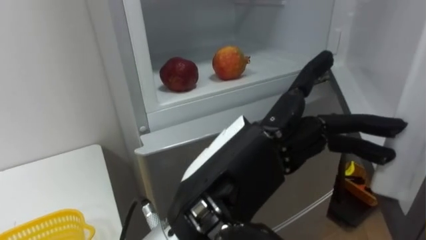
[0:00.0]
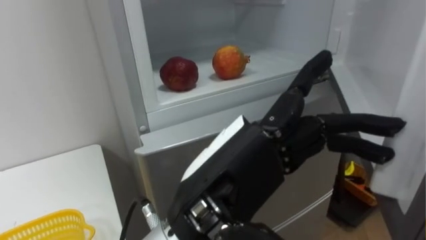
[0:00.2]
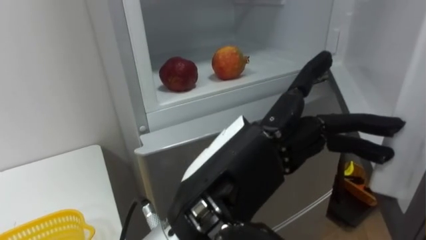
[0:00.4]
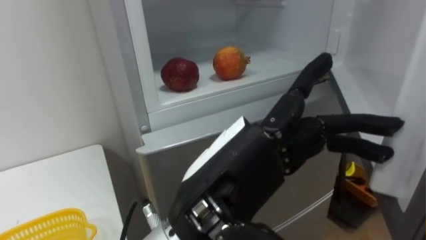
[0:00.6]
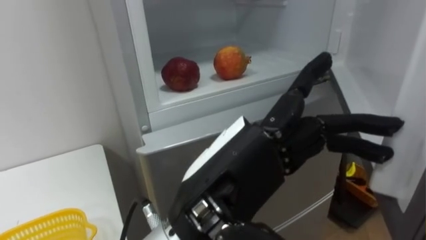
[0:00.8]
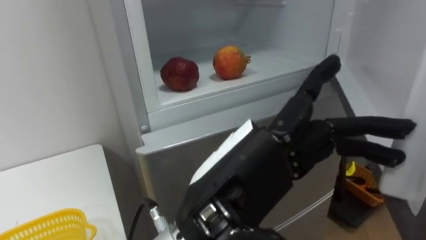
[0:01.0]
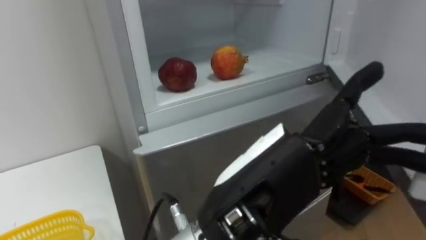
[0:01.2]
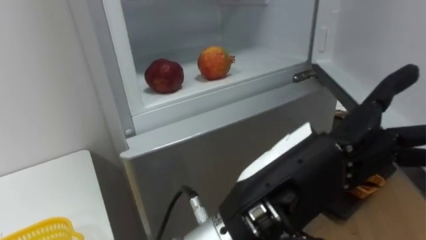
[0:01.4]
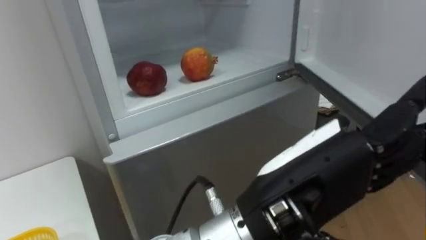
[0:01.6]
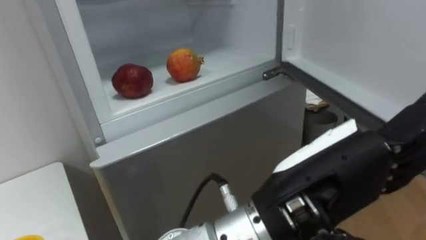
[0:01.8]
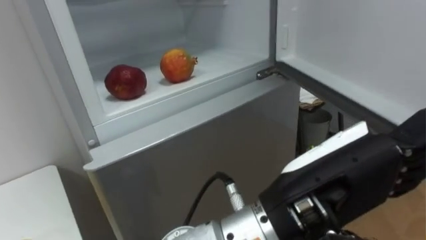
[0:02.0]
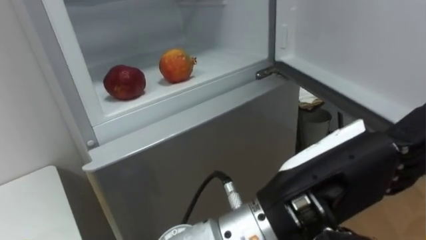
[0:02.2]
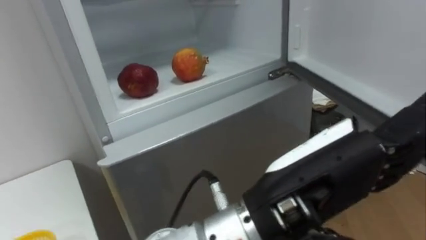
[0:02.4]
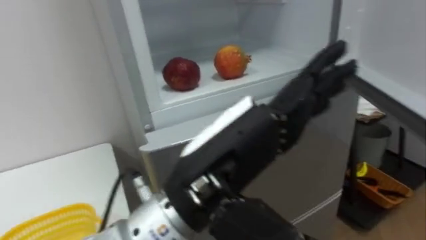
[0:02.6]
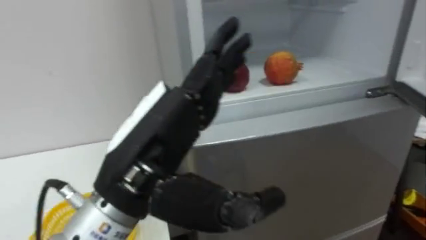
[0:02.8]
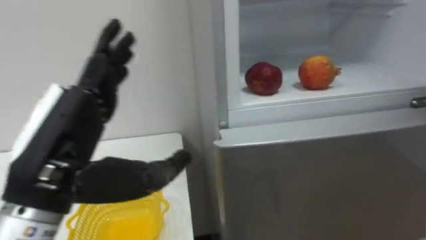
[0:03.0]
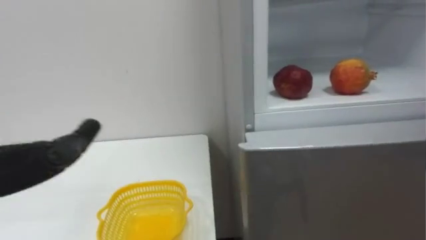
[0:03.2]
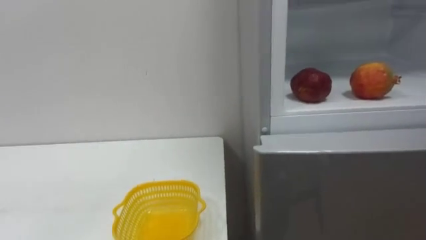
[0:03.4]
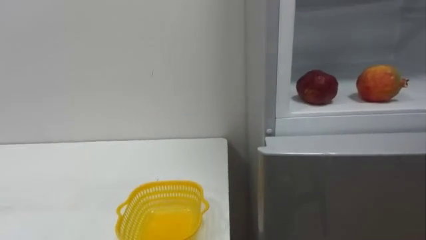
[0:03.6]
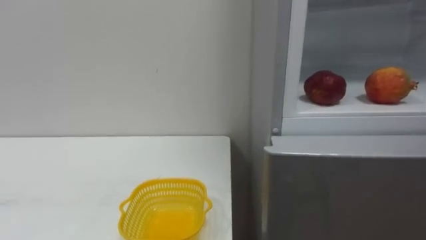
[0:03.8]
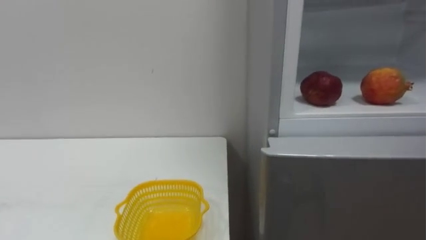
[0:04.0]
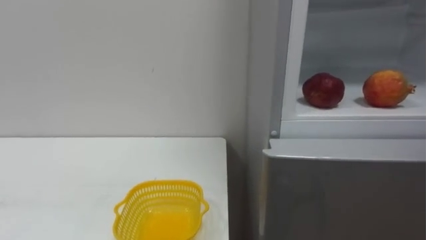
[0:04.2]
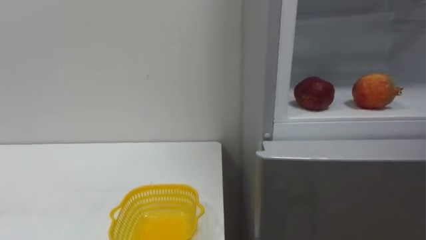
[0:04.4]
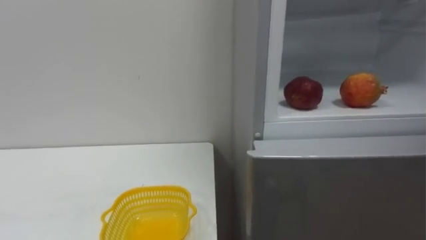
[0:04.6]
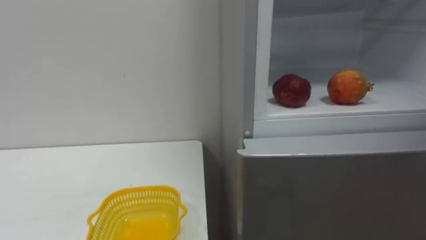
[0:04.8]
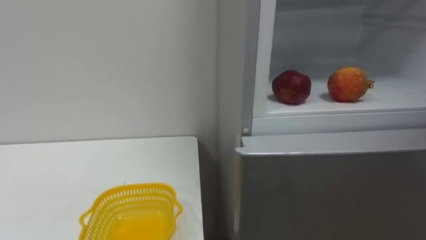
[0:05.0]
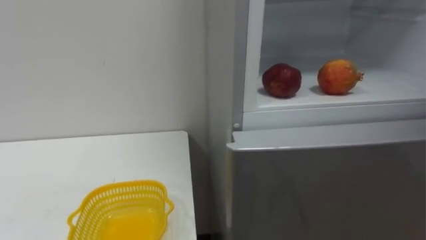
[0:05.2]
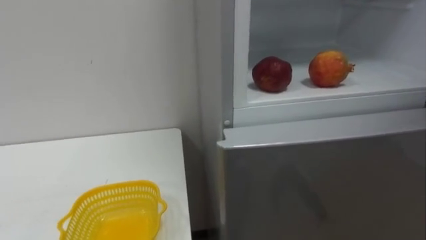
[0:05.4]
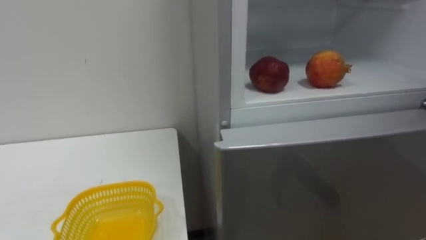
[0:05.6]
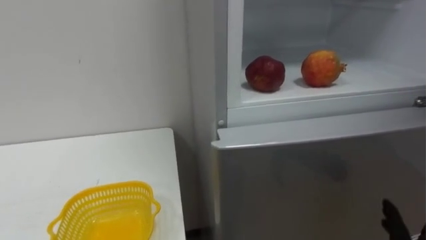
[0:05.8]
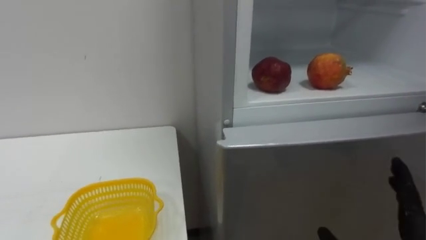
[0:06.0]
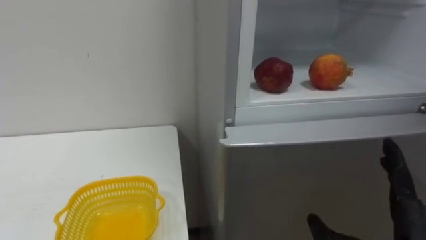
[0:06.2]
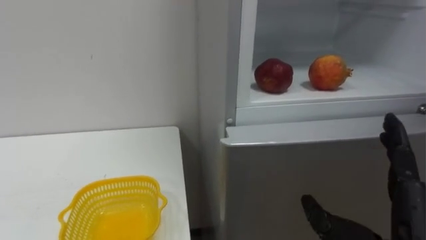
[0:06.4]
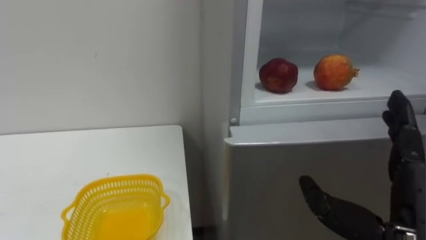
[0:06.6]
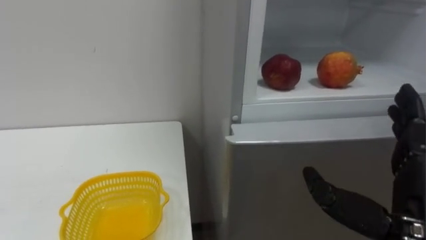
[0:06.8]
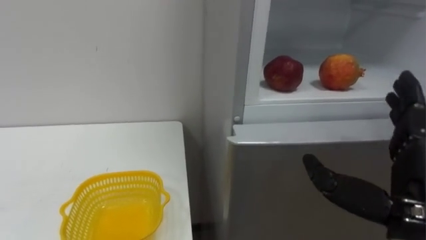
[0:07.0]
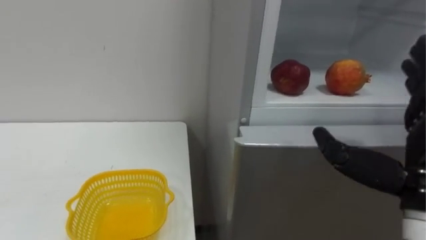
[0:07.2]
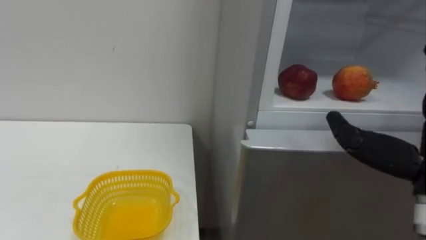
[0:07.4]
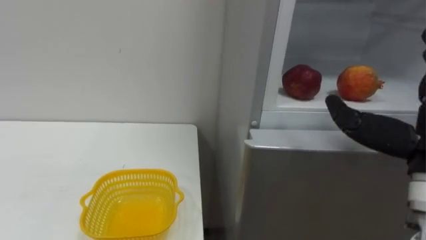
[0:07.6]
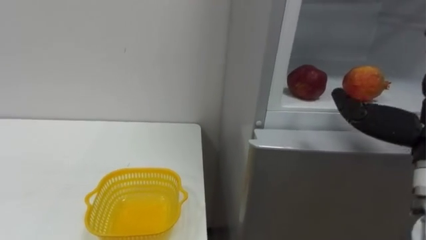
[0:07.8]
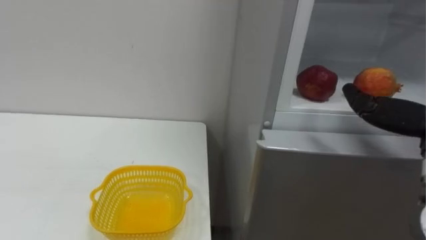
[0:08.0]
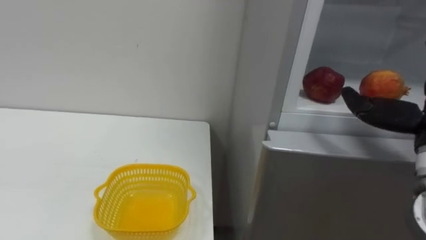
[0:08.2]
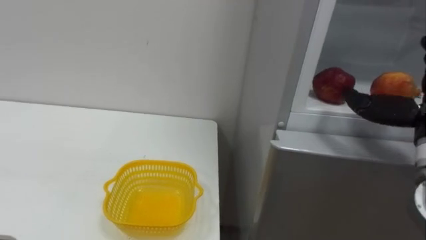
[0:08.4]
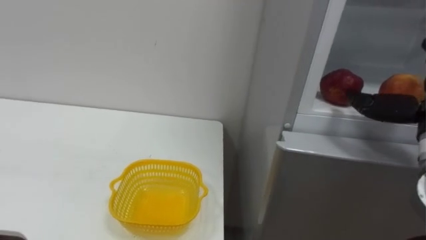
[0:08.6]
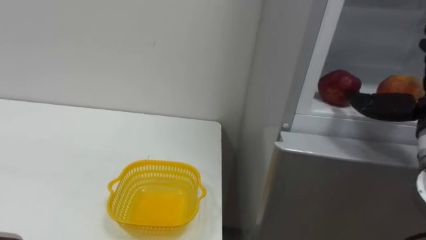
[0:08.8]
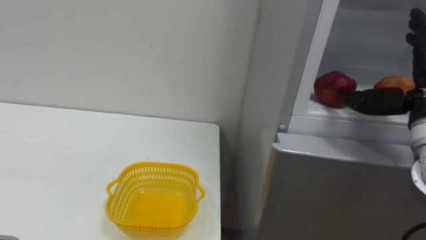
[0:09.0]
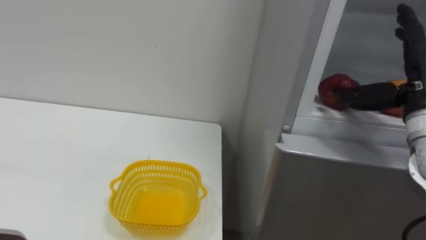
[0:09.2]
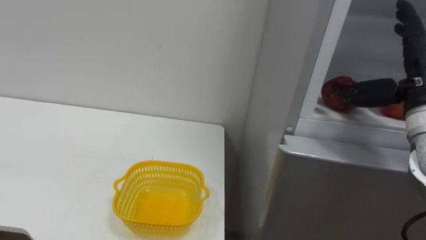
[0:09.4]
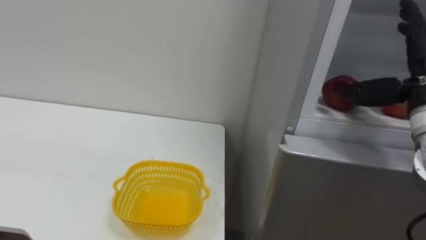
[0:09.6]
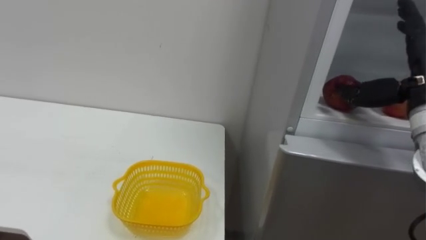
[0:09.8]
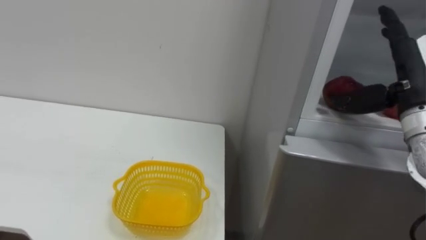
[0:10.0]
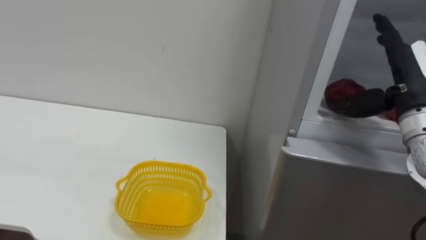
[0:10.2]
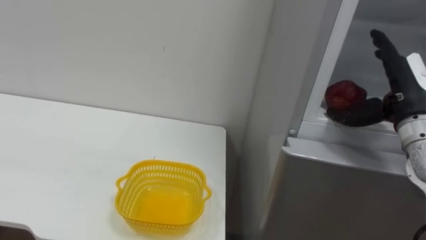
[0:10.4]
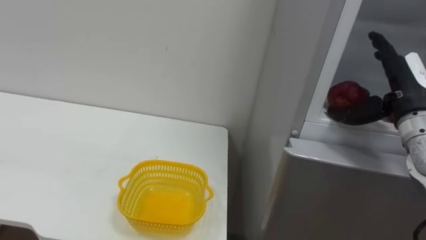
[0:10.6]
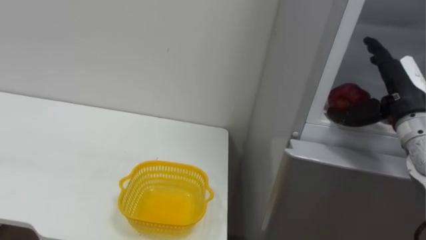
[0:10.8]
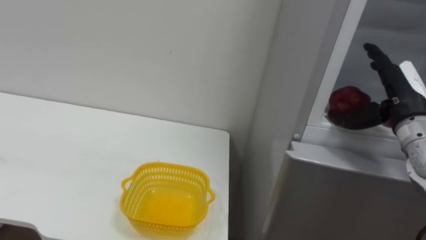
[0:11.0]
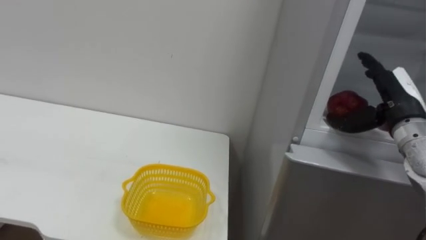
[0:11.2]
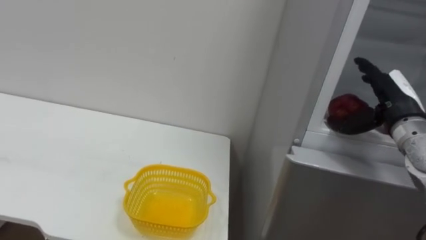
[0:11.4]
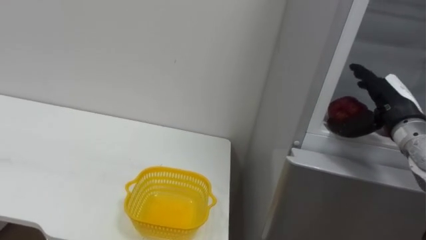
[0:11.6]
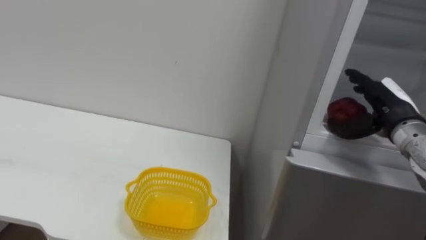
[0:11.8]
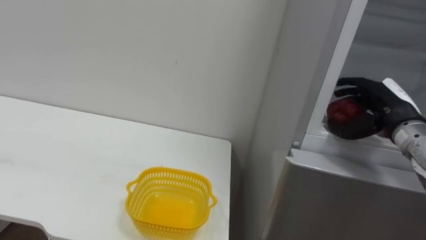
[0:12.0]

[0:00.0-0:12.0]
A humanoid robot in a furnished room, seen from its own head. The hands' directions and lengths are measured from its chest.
Task of the whole recording: Open the refrigerator door, take out the apple and the pomegranate, place them in the fruit basket on the left, and close the refrigerator door.
0:00.0 to 0:01.6: The left hand shifts about 5 cm to the right.
0:01.6 to 0:03.0: The left hand is displaced to the left by approximately 20 cm.
0:10.4 to 0:12.0: The right hand shifts approximately 5 cm downward.

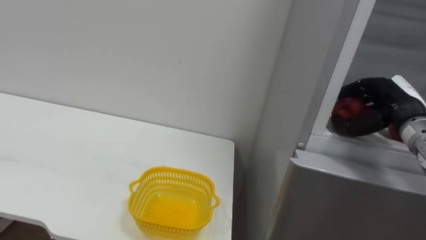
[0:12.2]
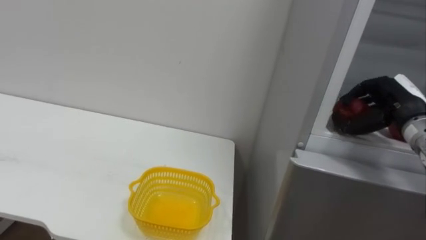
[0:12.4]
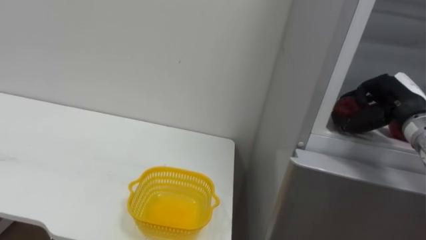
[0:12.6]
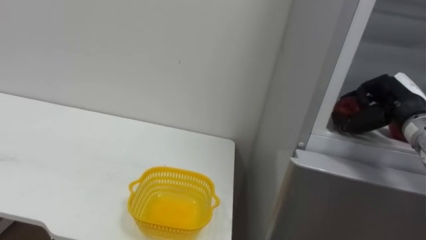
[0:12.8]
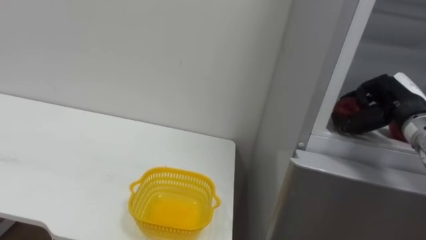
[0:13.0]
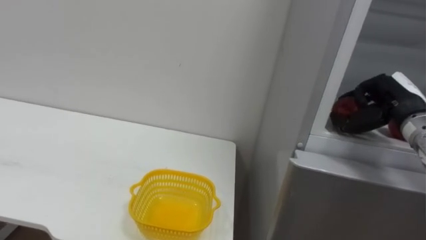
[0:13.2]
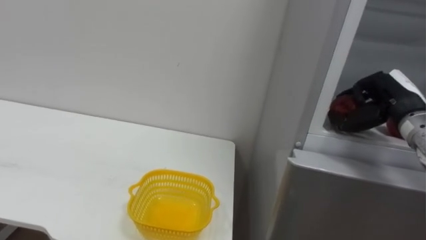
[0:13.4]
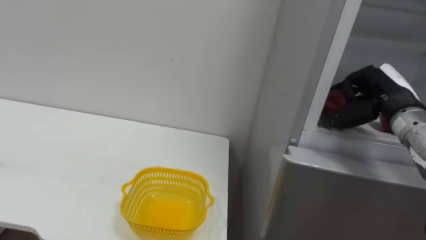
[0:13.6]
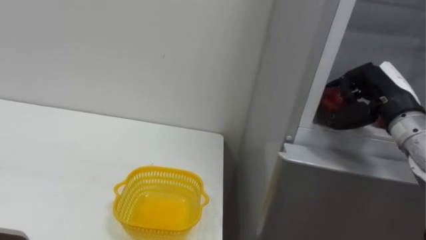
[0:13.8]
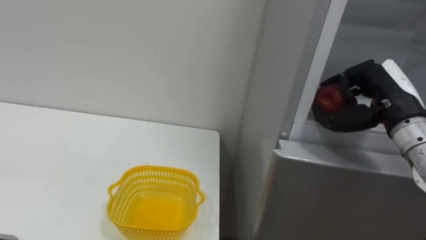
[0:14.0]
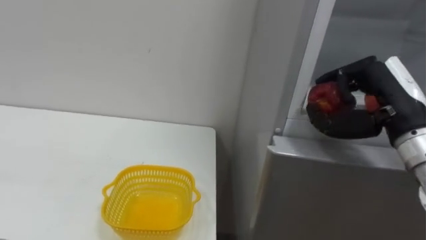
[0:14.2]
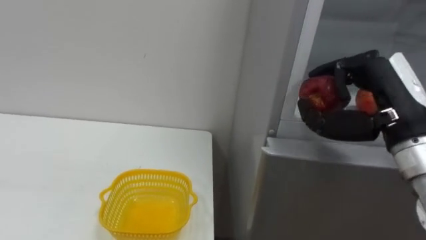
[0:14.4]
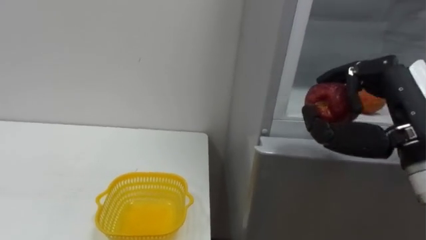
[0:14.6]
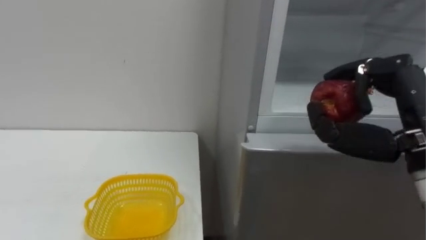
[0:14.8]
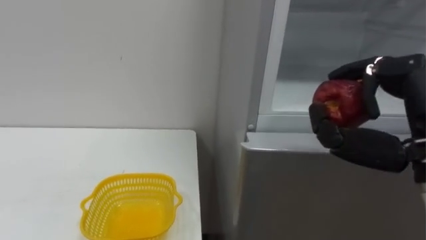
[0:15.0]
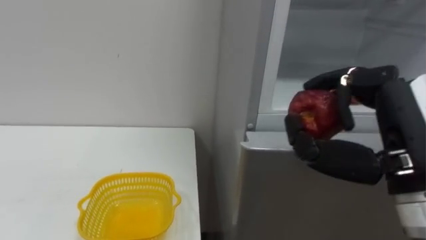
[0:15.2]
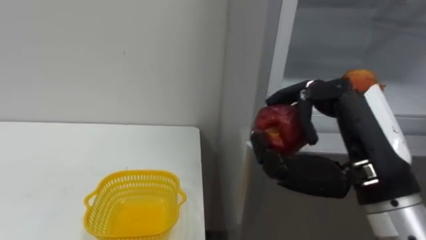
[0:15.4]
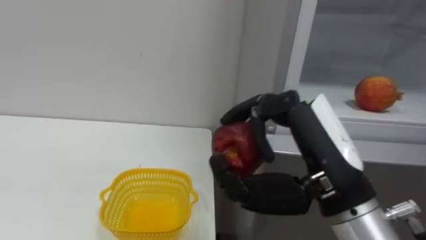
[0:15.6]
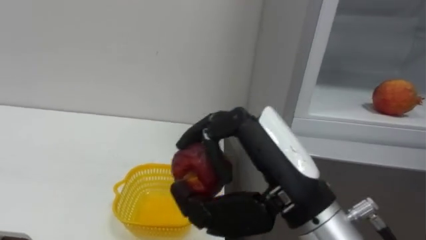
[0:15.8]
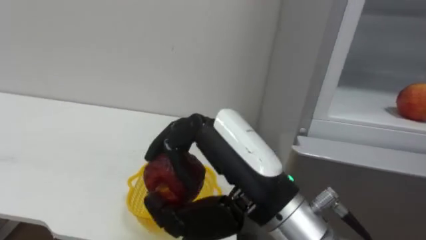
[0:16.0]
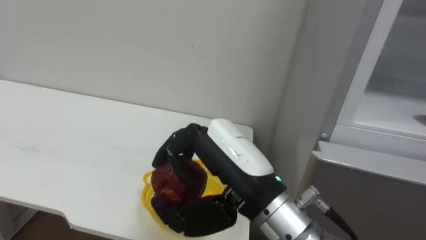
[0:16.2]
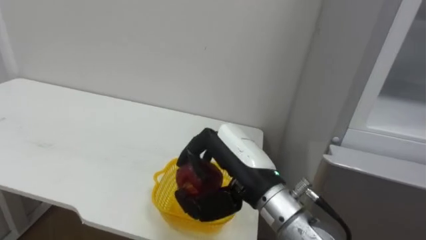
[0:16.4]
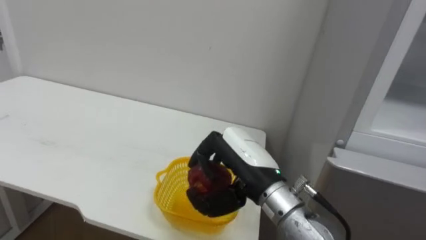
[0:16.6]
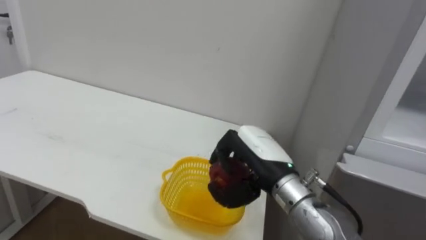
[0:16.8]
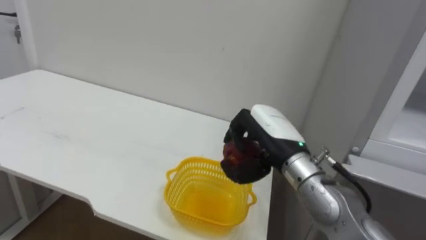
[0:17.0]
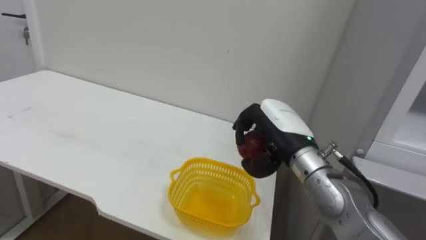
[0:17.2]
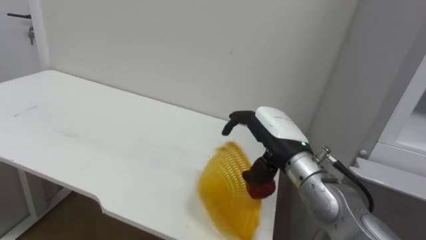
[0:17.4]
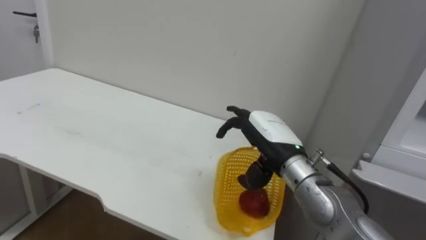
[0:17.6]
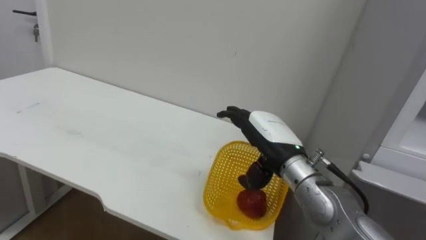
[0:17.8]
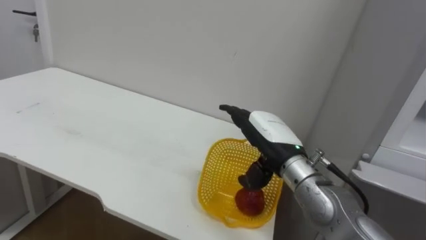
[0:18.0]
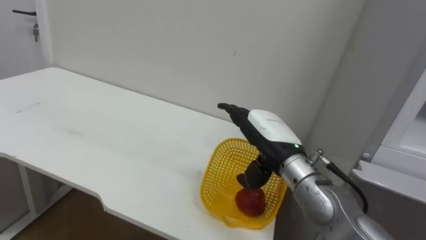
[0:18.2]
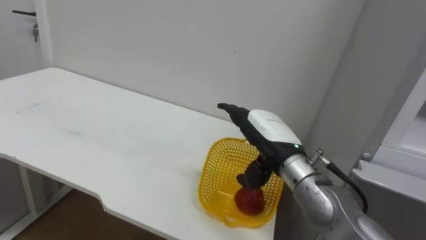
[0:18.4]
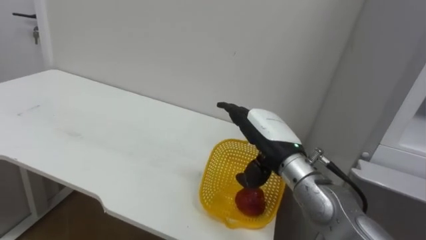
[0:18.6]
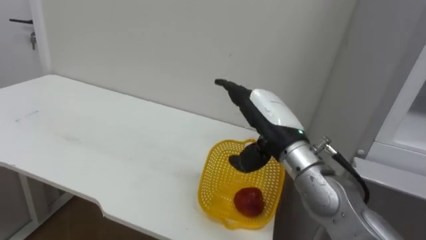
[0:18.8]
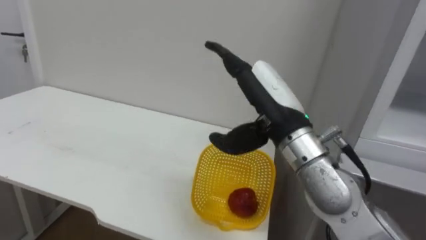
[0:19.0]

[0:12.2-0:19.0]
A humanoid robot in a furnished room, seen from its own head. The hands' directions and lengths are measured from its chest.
Task of the whole recording: Open the refrigerator door, take out the apple and the pomegranate, place them in the fruit basket on the left, and close the refrigerator door.
0:13.6 to 0:15.0: The right hand travels backward by some 15 cm.
0:15.0 to 0:16.2: The right hand heads to the left, covering roughly 20 cm.
0:16.2 to 0:17.6: The right hand heads forward, downward and to the right, covering roughly 15 cm, and opens up.
0:17.6 to 0:19.0: The right hand moves upward, approximately 10 cm.
